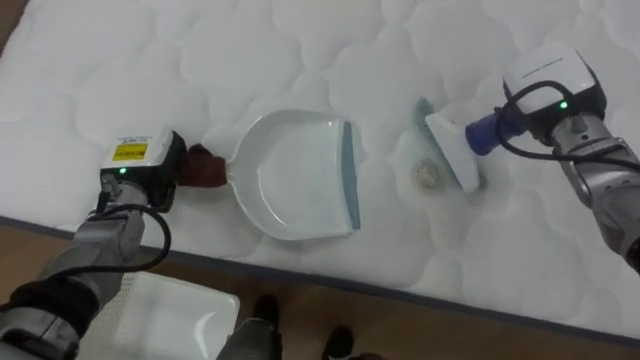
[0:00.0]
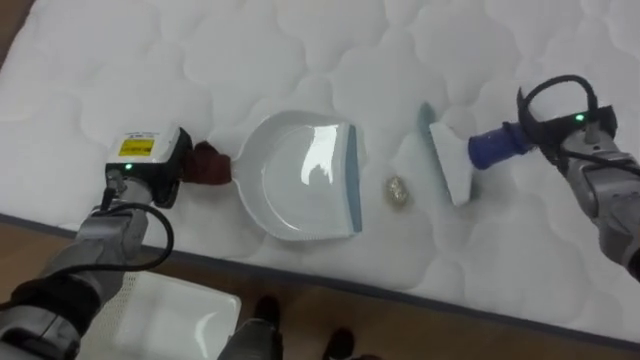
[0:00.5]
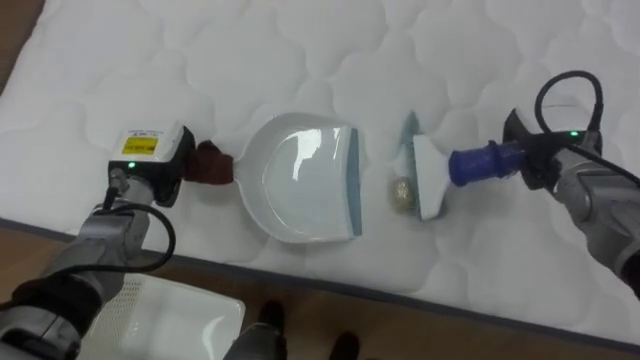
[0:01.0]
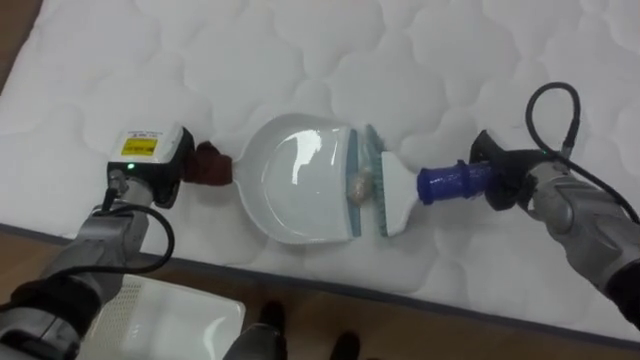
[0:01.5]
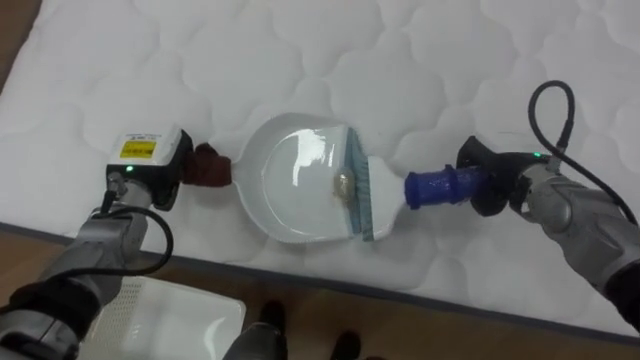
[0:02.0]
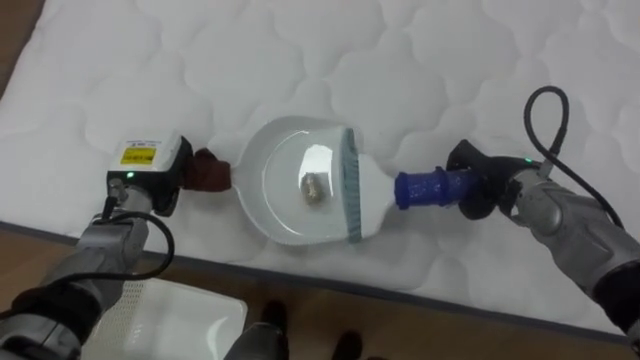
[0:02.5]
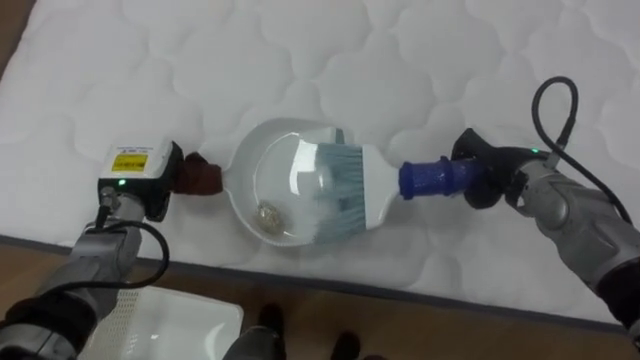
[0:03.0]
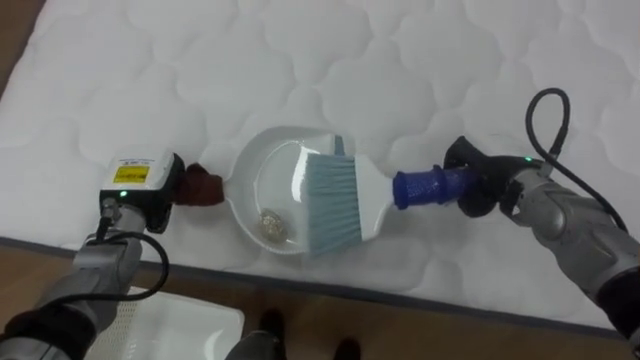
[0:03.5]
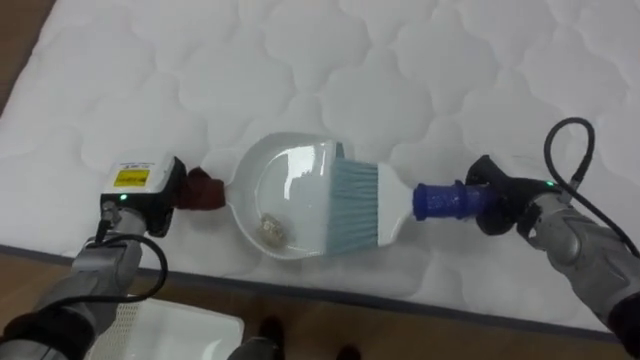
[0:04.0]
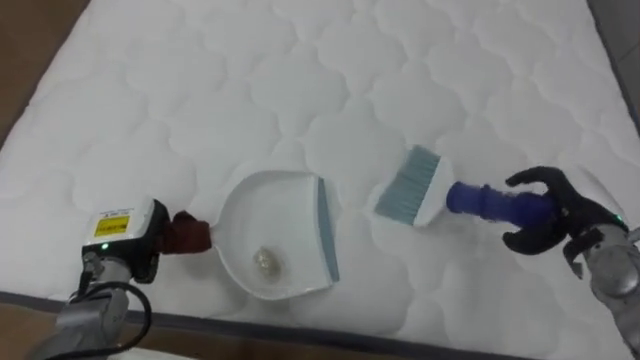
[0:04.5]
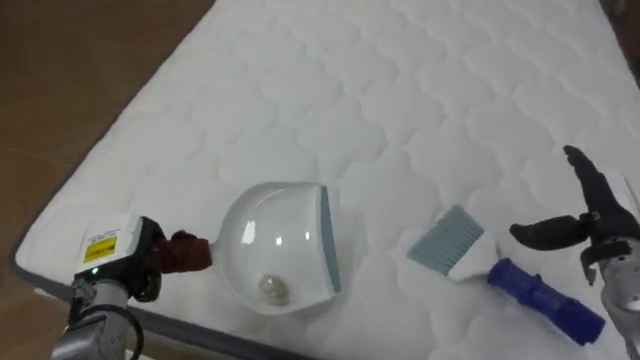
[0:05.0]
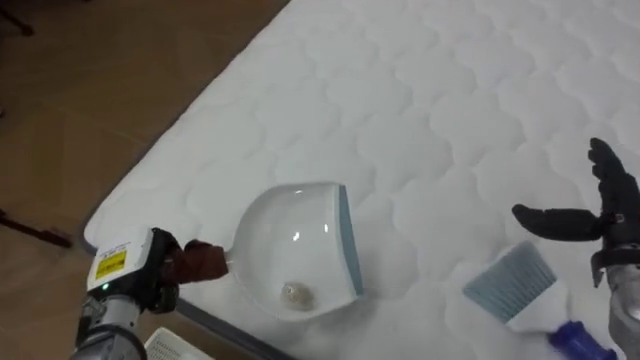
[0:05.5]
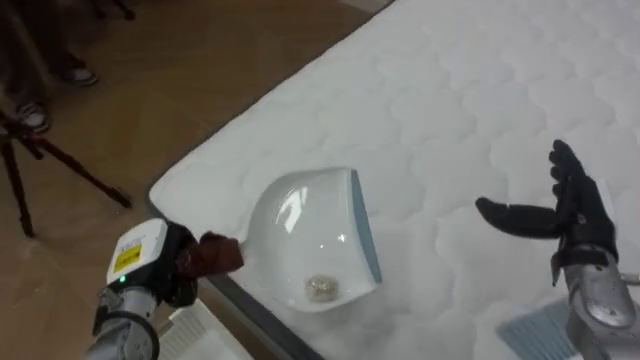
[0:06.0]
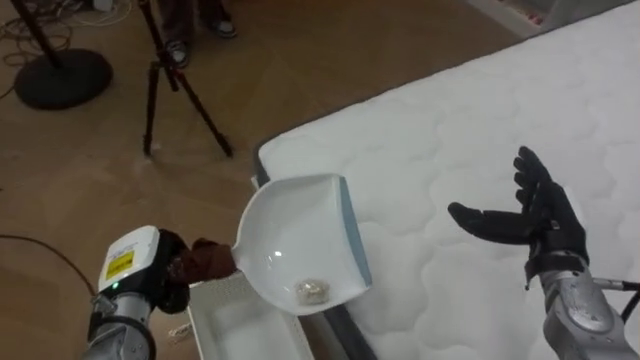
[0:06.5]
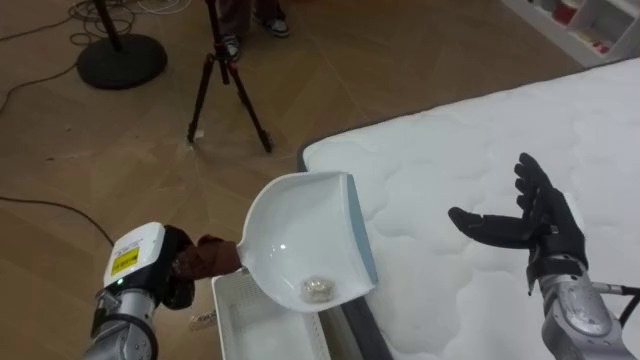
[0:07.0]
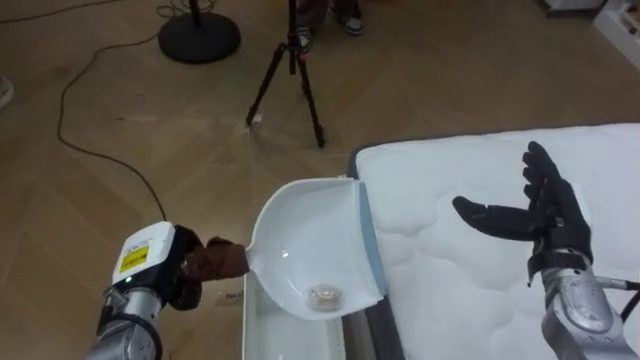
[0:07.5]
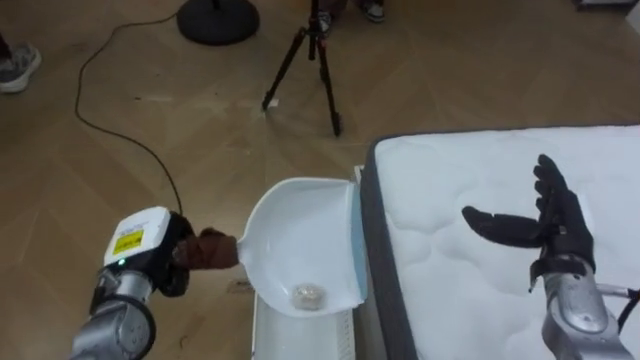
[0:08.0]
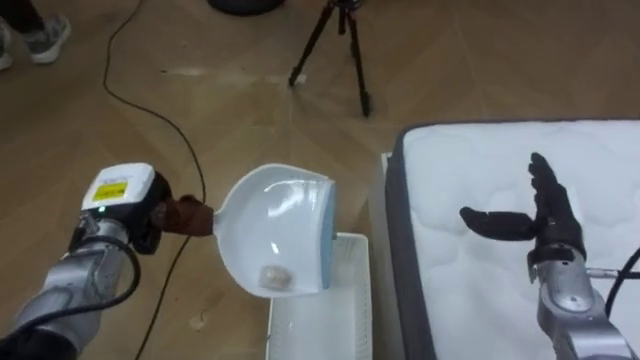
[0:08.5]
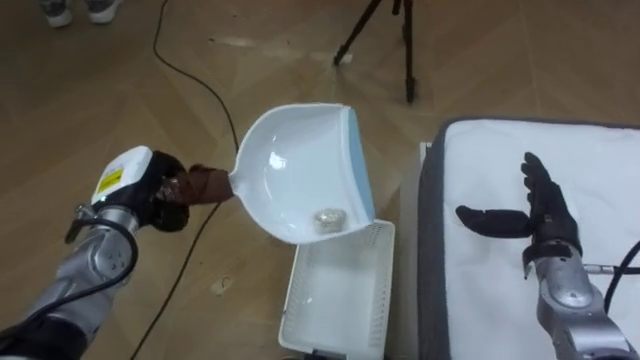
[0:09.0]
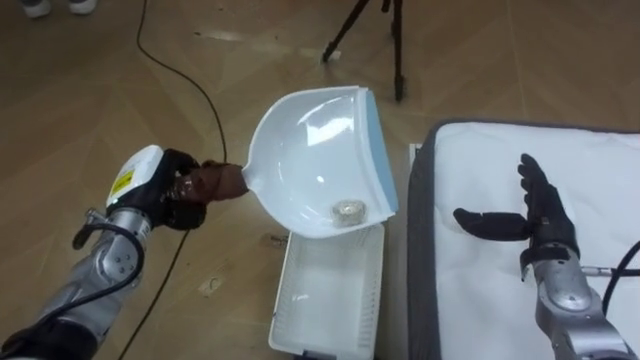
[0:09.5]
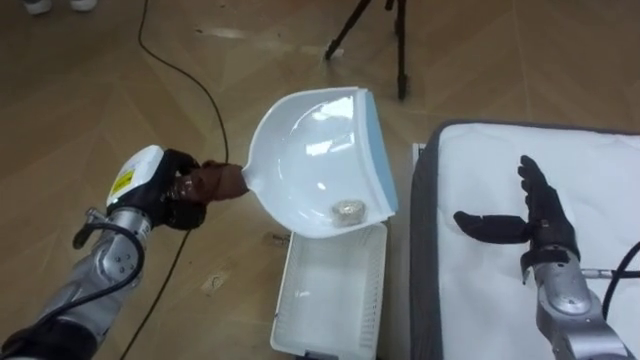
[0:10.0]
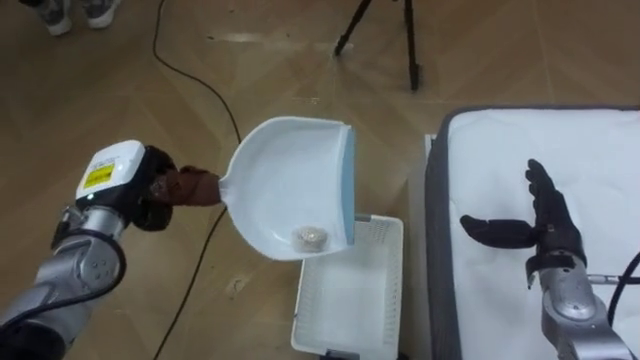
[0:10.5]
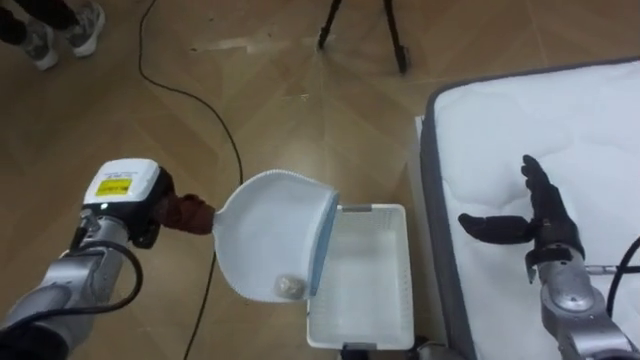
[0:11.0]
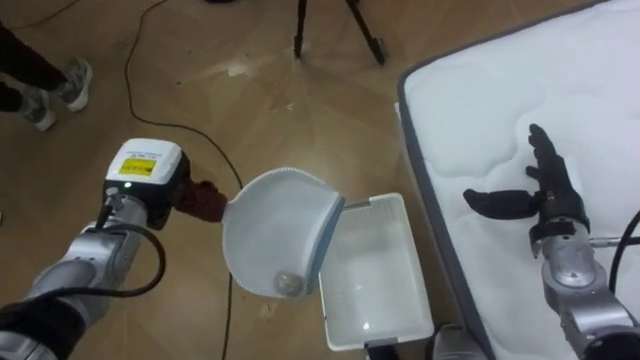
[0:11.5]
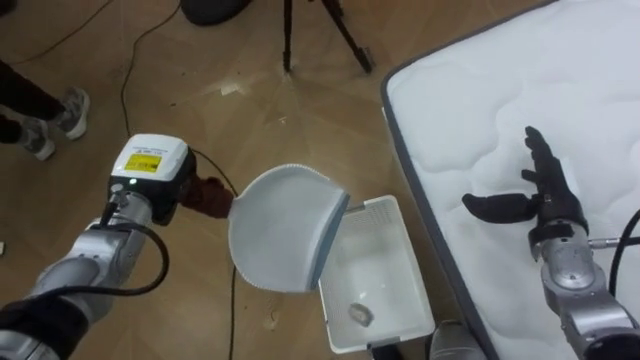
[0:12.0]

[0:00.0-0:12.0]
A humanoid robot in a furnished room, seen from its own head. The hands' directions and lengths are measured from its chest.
Task of the whole recording: Pick up the brush on your right and the dustpan on your left. Use the brush to sweep the crumpled paper on the bed into the dustpan, then turn left and empty it into the basket.
0:00.0 to 0:02.0: The right hand moves downward, roughly 10 cm.
0:04.0 to 0:06.0: The robot's body swings approximately 40 degrees to its left. The right hand shifts roughly 10 cm backward and to the right, and opens; the left hand shifts some 10 cm backward and downward.
0:06.0 to 0:08.0: The robot faces some 40 degrees further to its left.
0:08.0 to 0:10.0: The robot faces some 15 degrees further to its left. The left hand is displaced forward and upward by about 10 cm.

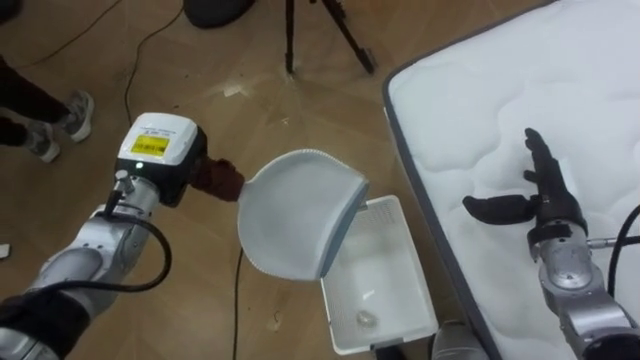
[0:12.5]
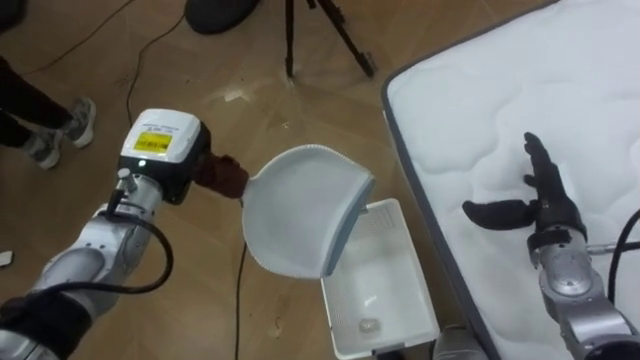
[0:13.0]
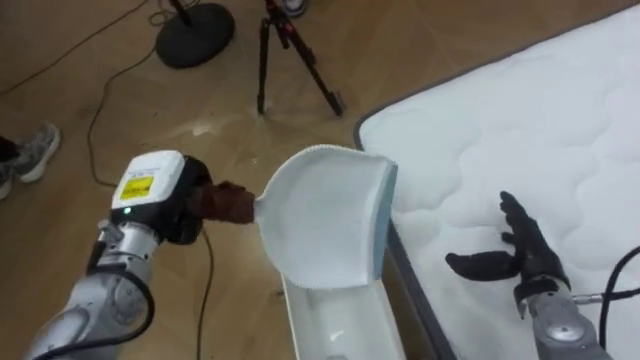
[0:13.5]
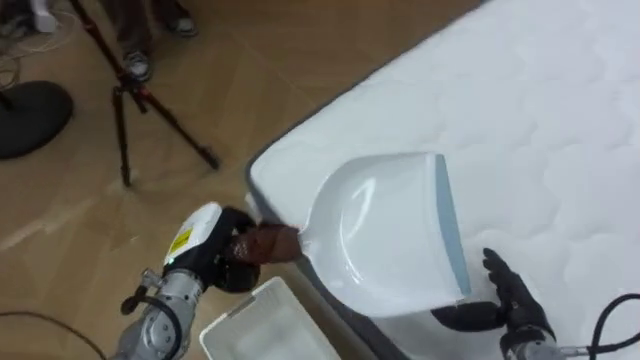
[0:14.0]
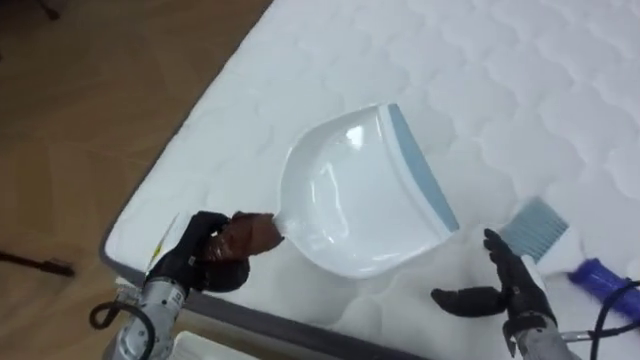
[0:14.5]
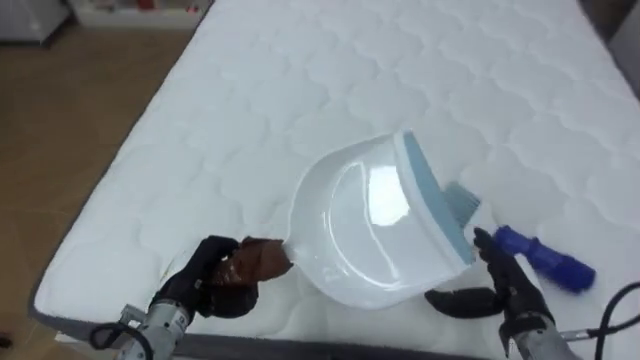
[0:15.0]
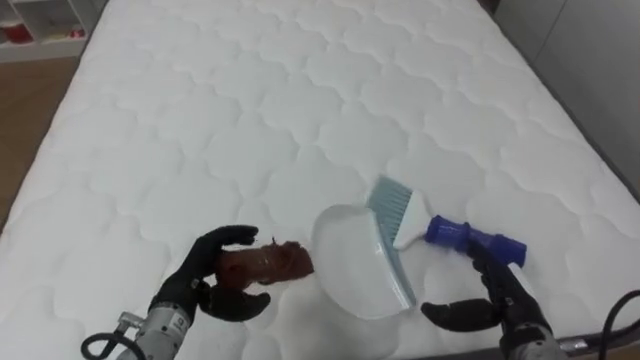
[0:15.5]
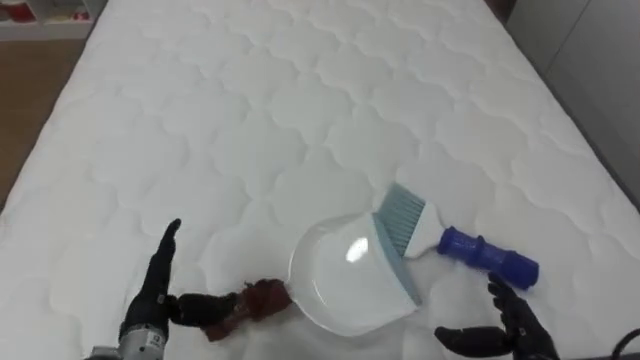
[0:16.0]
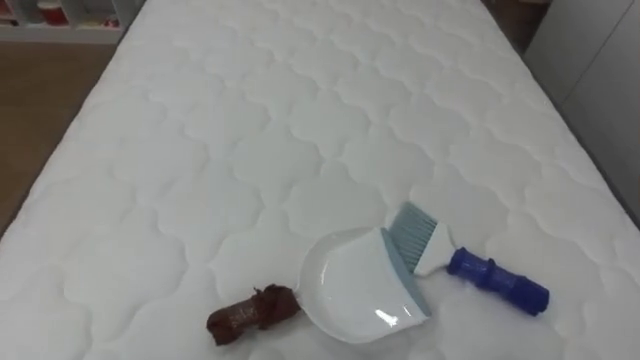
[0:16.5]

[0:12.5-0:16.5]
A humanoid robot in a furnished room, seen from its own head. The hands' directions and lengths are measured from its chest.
Task of the whole recording: Pick up the brush on your right and the dustpan on your left. Use the brush to sweep the crumpled paper on the bed into the dustpan, then turn left and empty it into the basket.
0:12.5 to 0:14.5: The robot turns to its right by roughly 70 degrees. Both hands travel together backward and downward, some 15 cm.
0:14.5 to 0:16.5: The robot rotates some 25 degrees to its right.

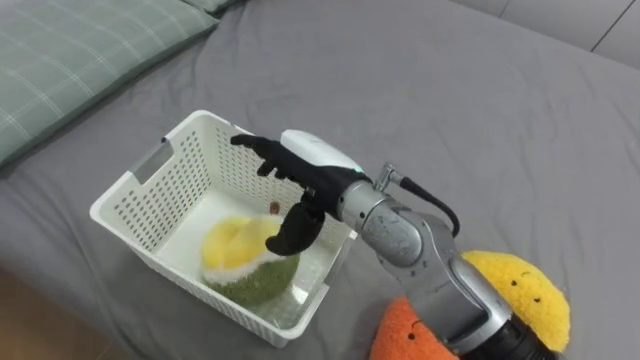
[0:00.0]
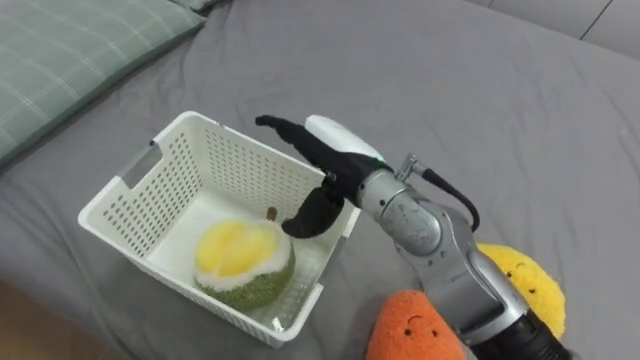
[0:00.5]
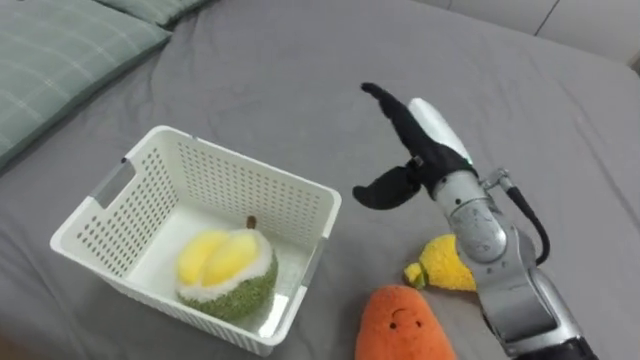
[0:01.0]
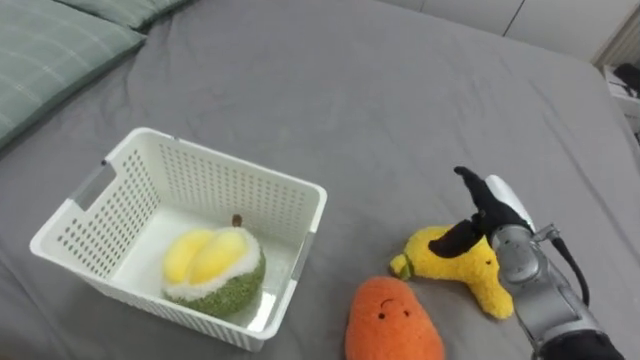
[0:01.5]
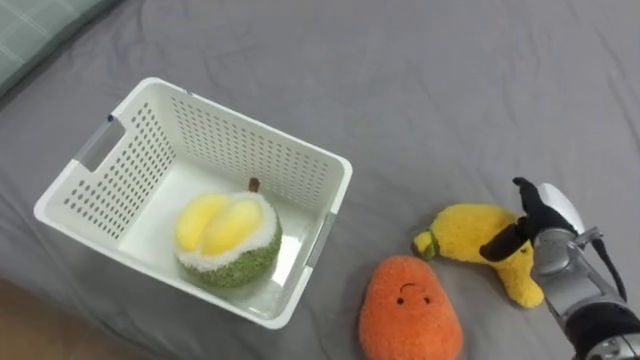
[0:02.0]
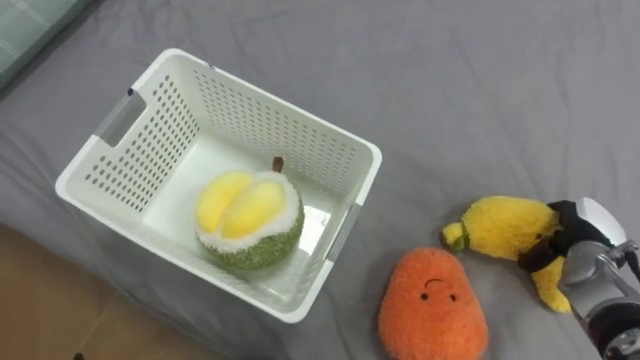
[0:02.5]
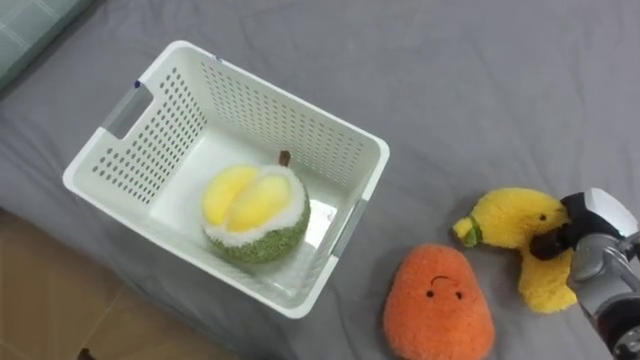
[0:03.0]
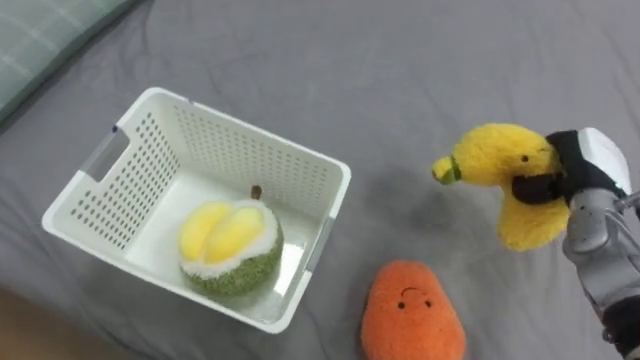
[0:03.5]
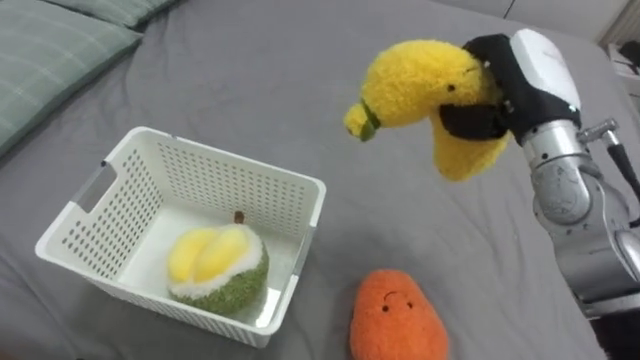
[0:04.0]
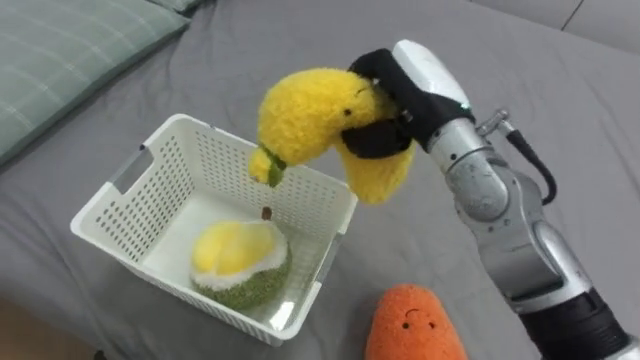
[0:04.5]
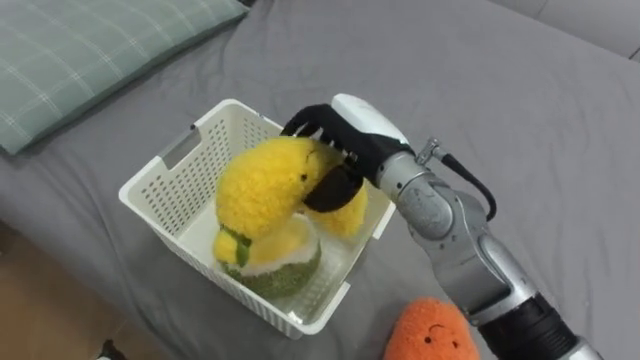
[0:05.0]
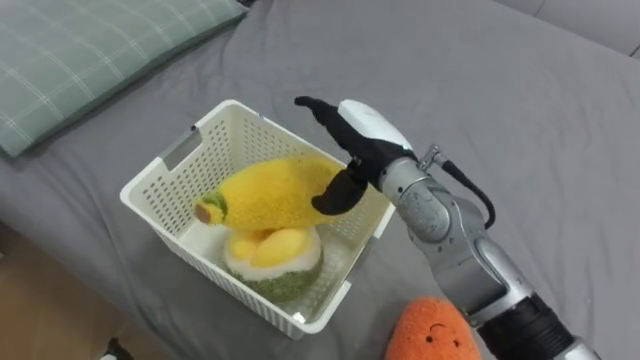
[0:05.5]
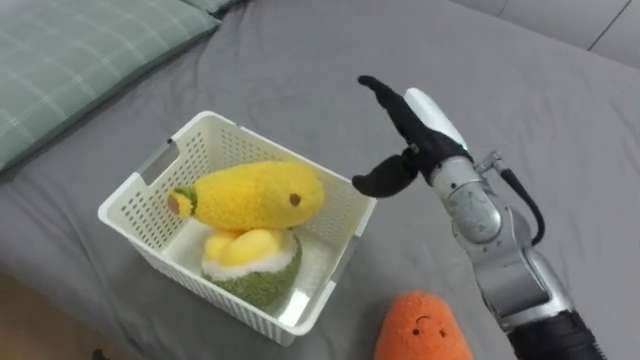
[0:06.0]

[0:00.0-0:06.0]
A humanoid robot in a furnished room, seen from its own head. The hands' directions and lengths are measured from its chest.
Task of the whole recording: Put the toys on the bed into the basket on the left.
0:00.0 to 0:02.0: The right hand goes roughly 35 cm to the right and downward.
0:02.0 to 0:04.0: The right hand goes roughly 20 cm upward and to the left, and closes up.
0:04.0 to 0:06.0: The right hand travels to the left and downward by some 10 cm, and opens its fingers.
